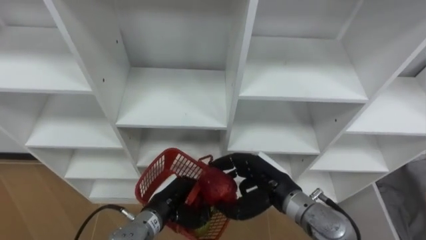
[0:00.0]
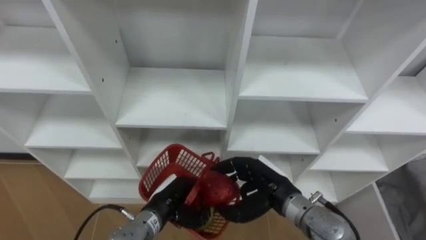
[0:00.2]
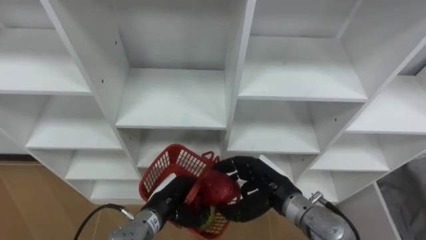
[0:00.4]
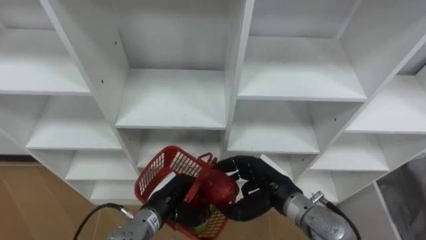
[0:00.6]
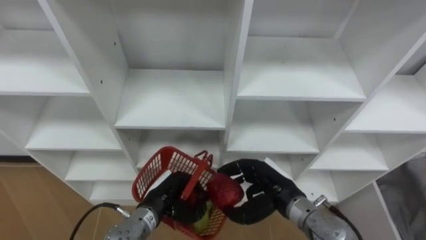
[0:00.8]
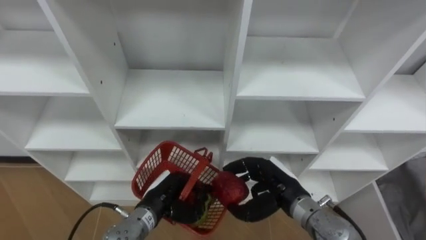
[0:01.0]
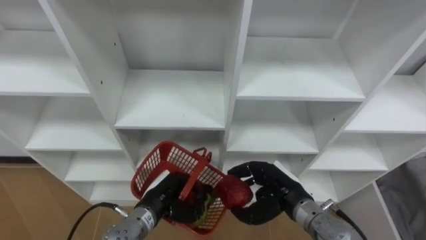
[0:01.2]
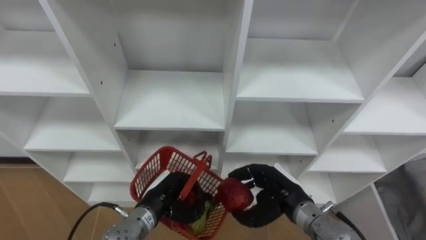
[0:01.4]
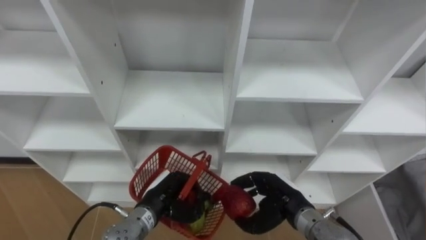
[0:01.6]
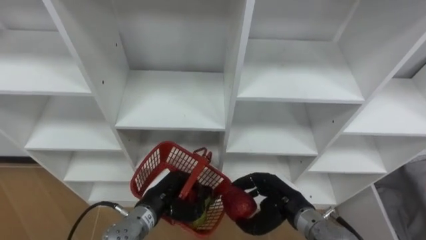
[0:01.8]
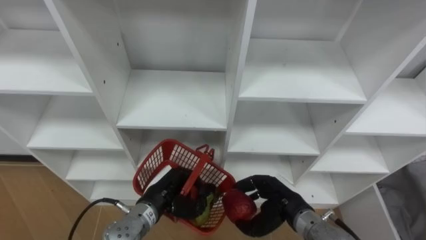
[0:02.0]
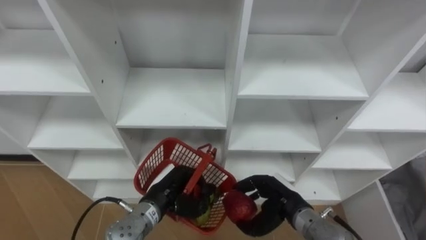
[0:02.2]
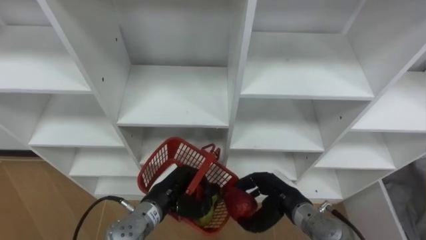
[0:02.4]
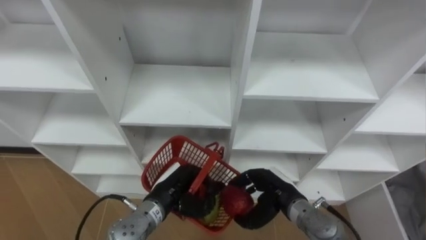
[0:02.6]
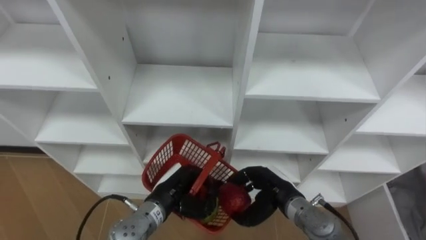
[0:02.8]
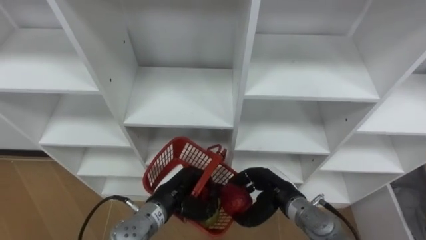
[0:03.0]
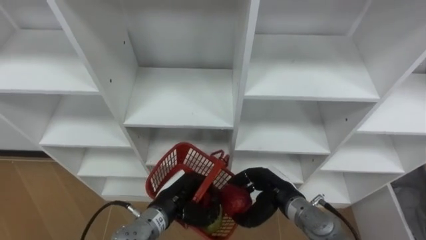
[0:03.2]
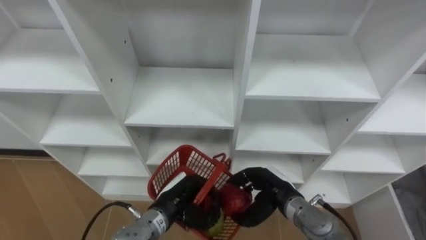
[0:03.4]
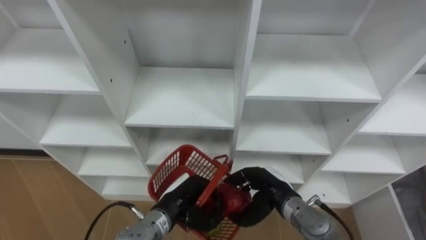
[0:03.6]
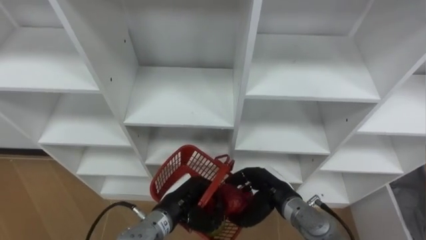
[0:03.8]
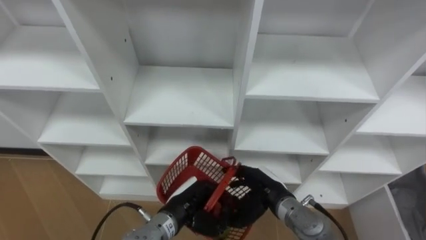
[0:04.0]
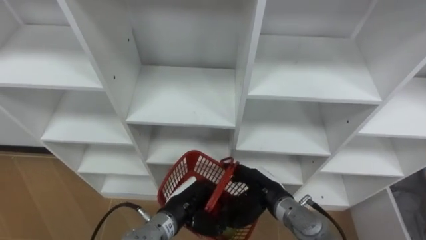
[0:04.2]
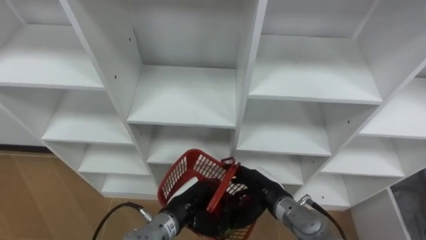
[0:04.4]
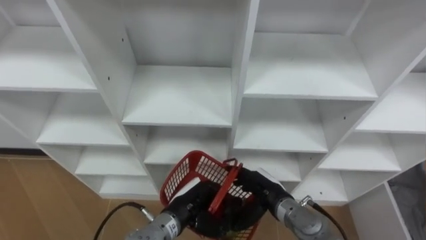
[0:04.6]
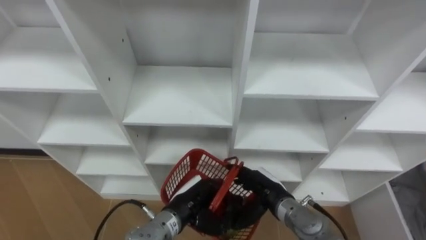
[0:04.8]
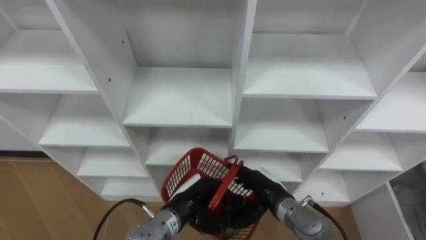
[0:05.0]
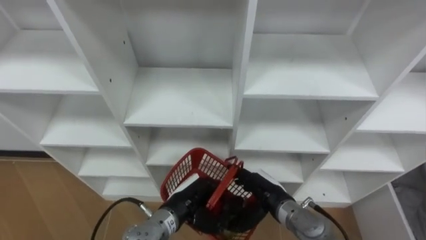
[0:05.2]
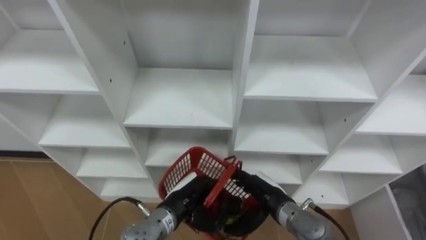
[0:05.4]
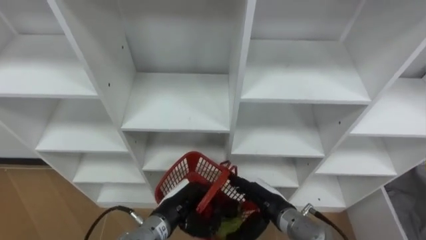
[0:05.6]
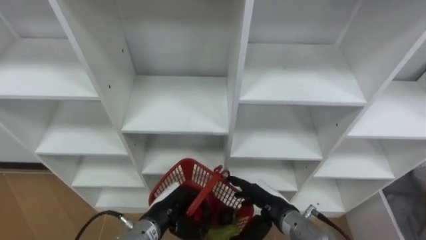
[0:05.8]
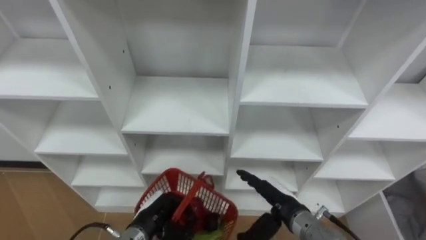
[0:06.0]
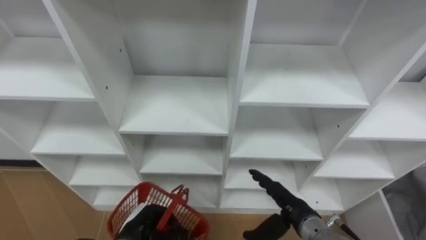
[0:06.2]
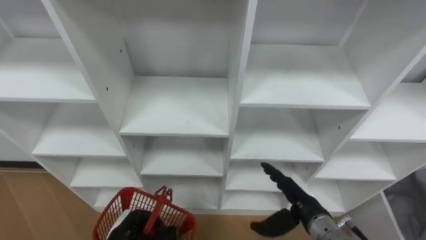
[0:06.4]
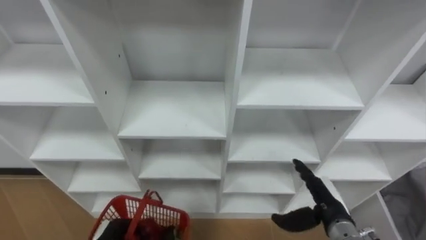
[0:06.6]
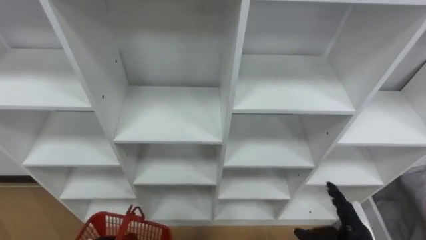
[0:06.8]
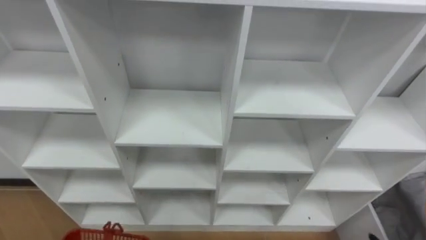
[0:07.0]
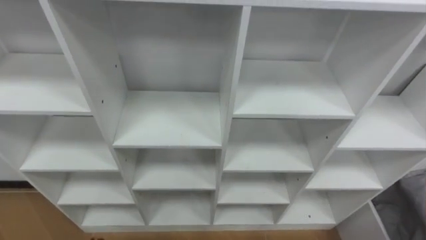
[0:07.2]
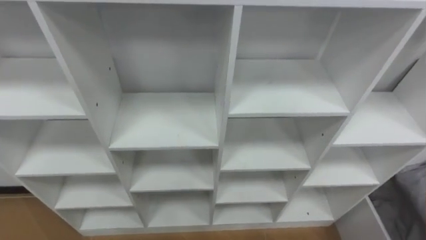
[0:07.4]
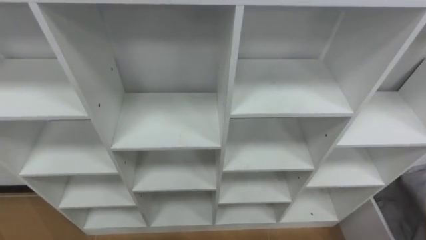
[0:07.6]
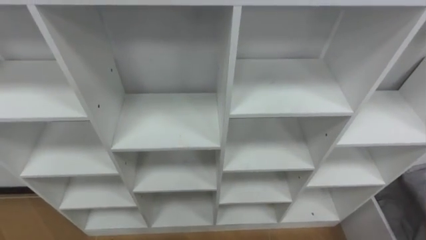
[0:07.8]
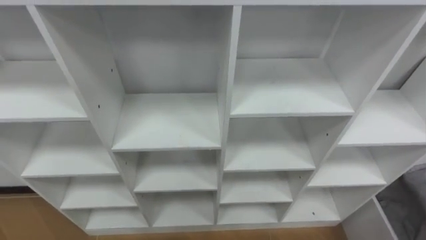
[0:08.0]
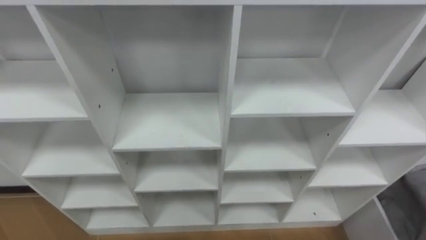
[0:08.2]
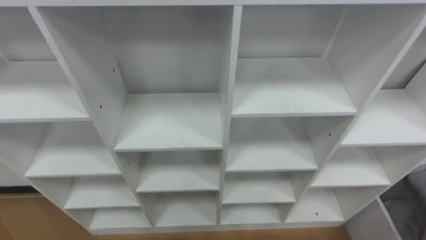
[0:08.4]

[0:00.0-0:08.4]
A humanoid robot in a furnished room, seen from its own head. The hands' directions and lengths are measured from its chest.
Task of the whole recording: Hold the basket and collect the fruits from 3 different cells of the closet into it.
0:00.0 to 0:01.4: The hands move only a little.
0:02.8 to 0:04.2: The right hand opens its fingers.

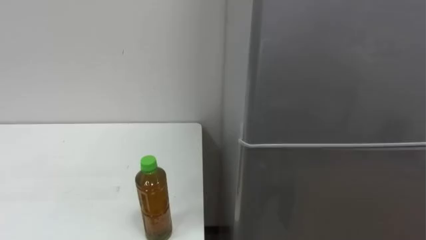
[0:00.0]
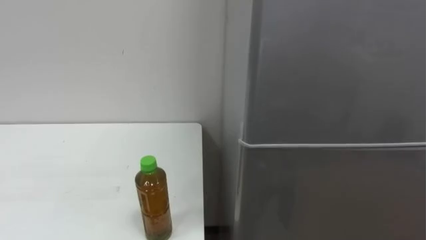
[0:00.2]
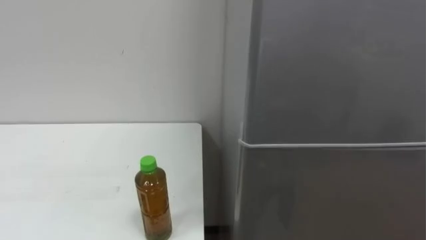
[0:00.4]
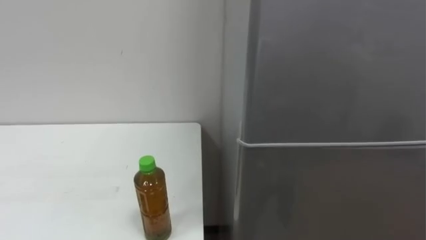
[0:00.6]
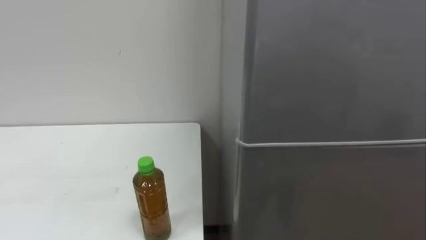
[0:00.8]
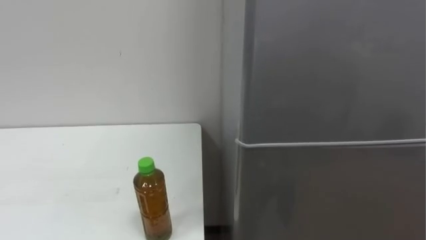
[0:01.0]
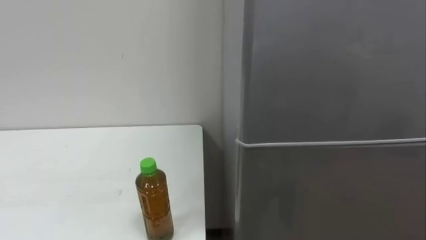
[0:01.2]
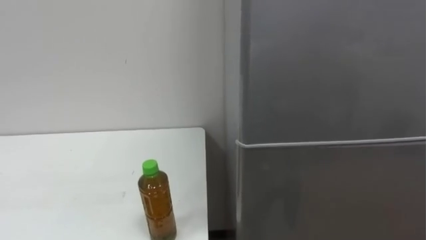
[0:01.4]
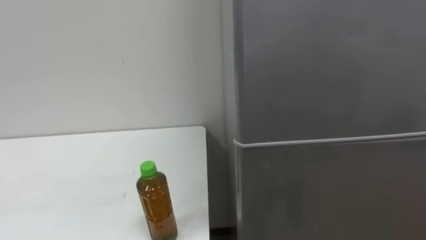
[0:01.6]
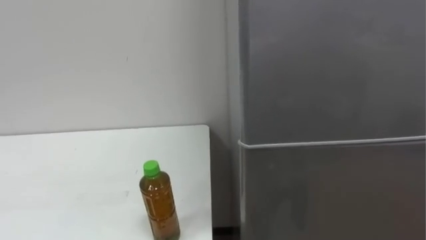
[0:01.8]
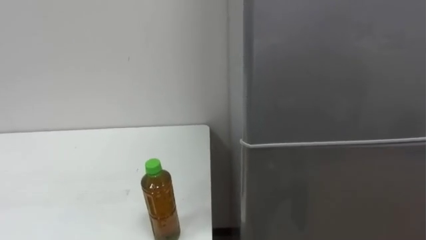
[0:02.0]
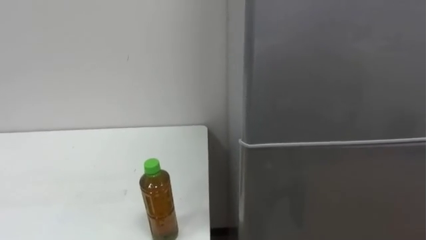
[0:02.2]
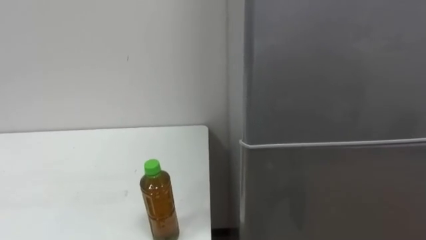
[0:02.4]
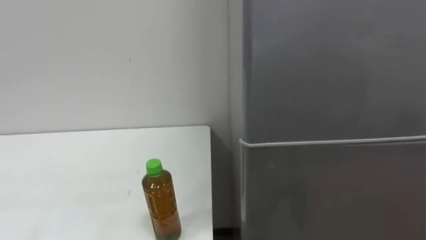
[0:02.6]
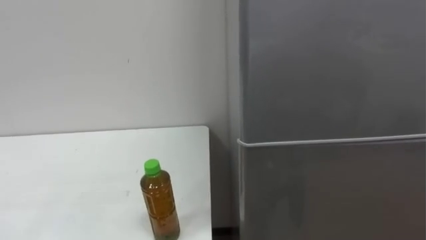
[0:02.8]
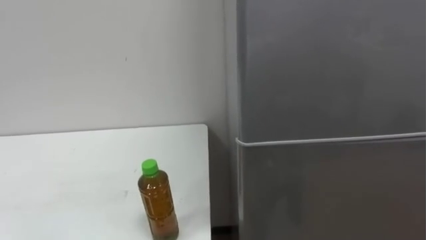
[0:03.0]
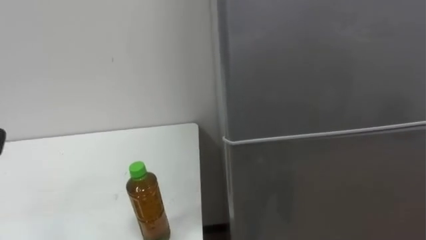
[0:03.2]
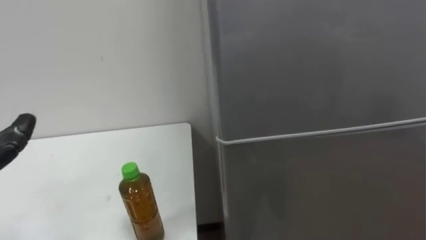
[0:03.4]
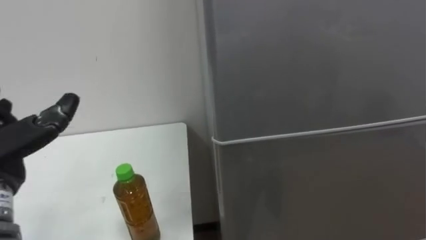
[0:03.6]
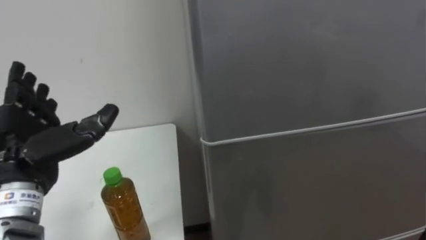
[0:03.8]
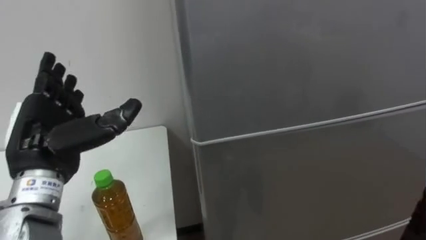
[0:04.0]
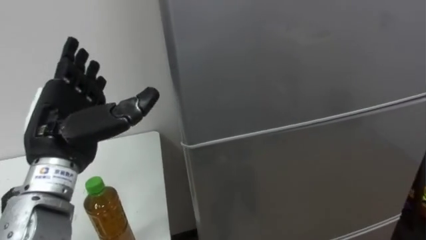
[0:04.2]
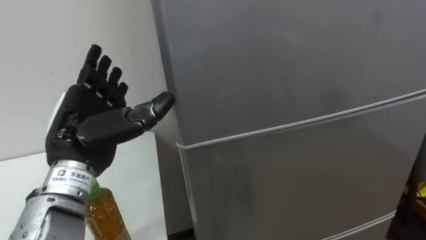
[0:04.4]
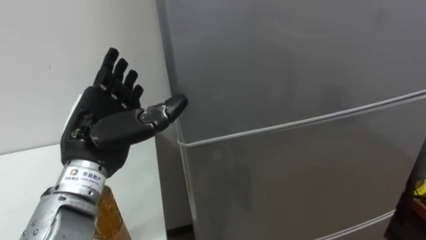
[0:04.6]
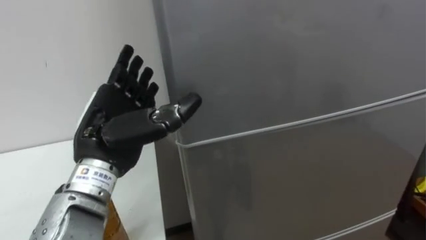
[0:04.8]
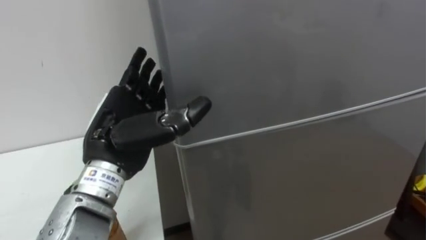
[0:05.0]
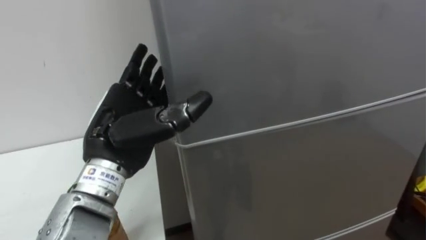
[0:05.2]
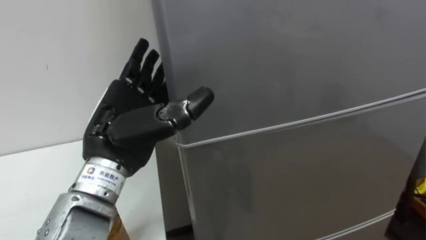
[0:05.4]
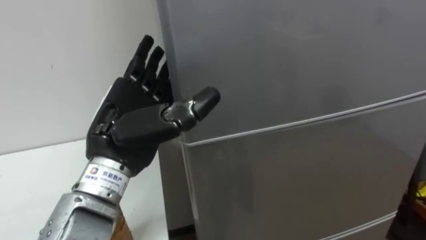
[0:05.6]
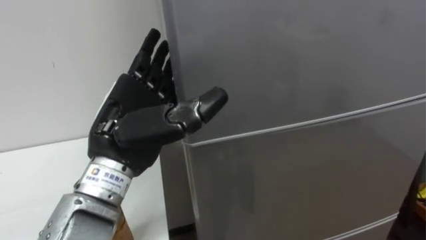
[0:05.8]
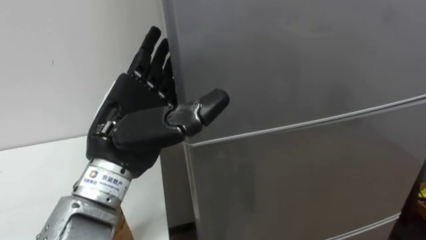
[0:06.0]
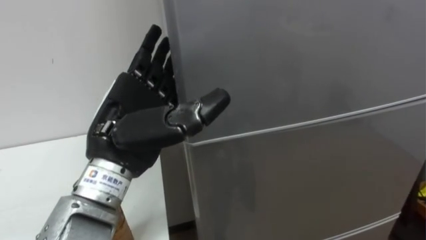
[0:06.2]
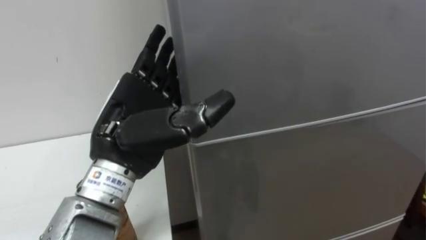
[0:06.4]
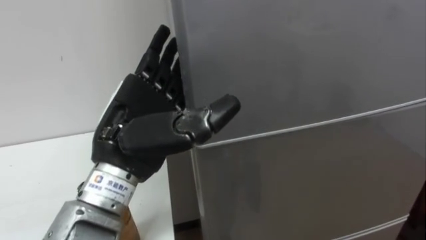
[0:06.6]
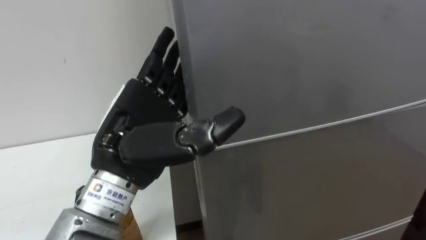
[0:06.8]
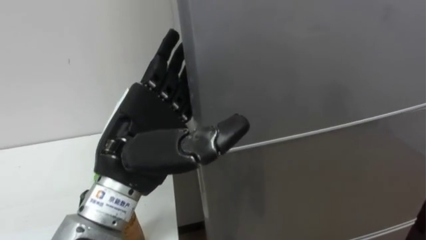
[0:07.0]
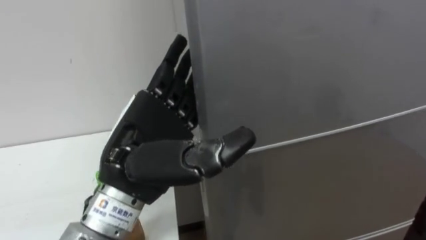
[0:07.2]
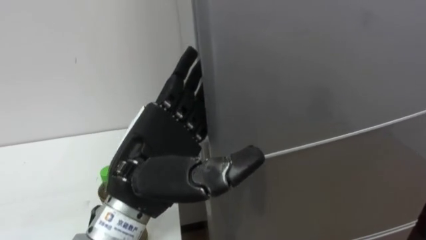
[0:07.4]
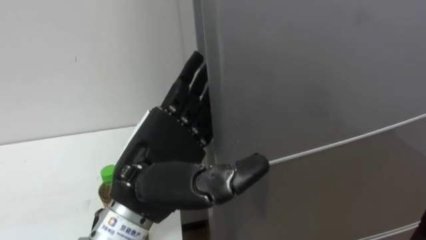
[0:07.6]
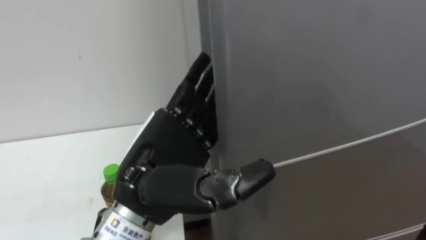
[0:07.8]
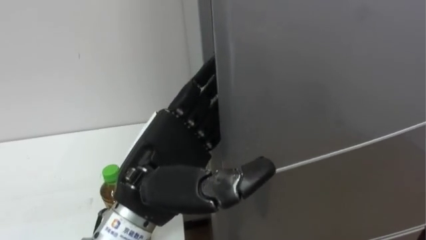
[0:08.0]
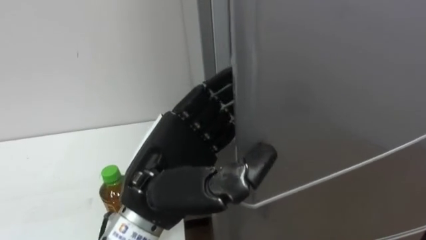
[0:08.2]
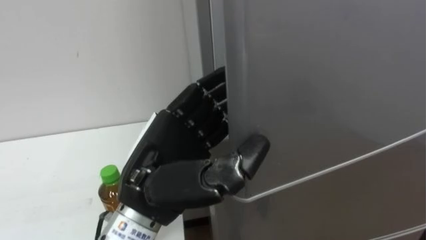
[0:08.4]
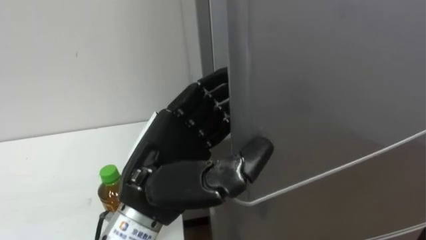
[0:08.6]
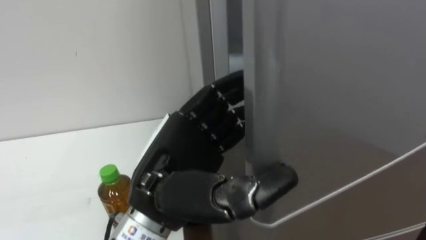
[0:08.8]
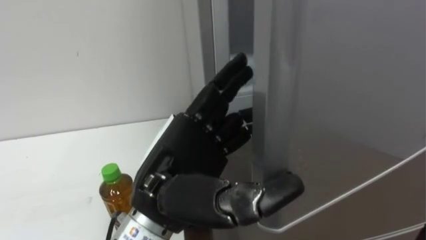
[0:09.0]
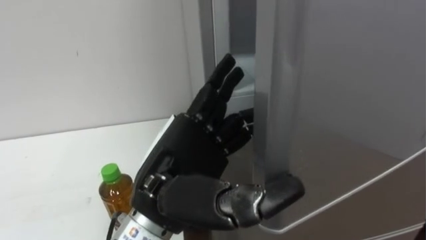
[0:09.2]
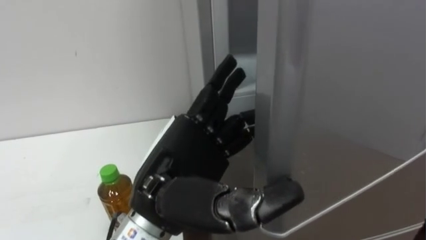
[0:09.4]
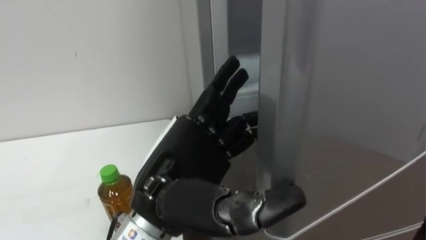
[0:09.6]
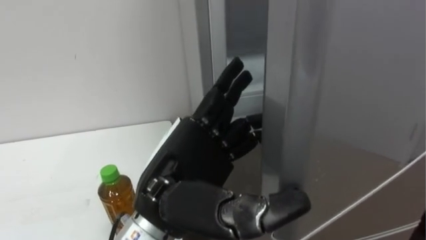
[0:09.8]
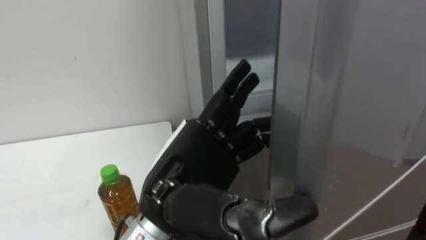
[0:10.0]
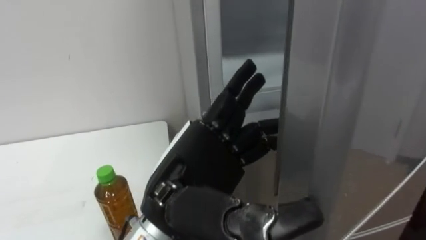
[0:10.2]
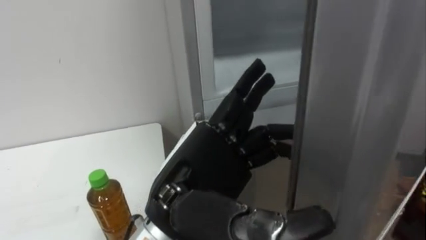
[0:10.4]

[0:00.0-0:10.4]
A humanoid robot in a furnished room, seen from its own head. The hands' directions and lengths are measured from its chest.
Task of the whole recording: Open the upper refrigerator door, put the drink from the table into the refrigerator, and then close the refrigerator door.
0:04.4 to 0:06.0: The left hand goes about 5 cm to the right.
0:06.0 to 0:07.4: The left hand shifts by some 5 cm.
0:07.4 to 0:09.0: The left hand closes and opens again.
